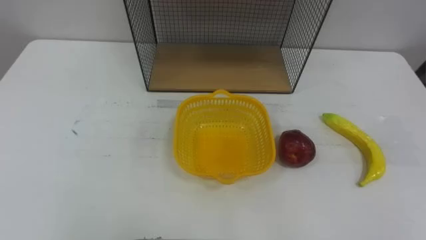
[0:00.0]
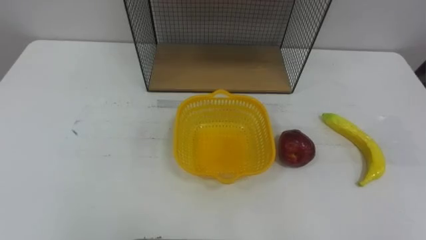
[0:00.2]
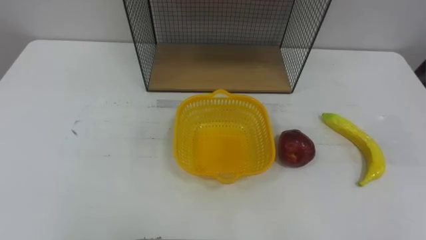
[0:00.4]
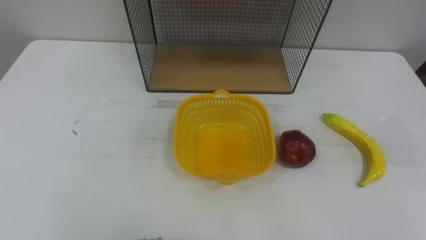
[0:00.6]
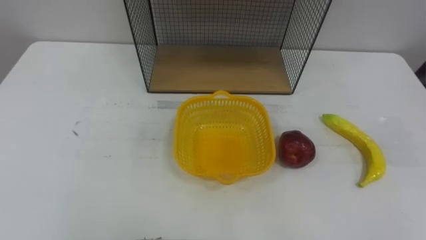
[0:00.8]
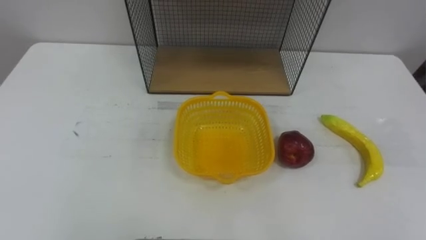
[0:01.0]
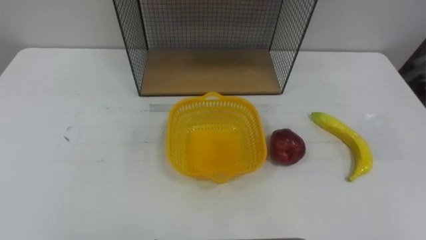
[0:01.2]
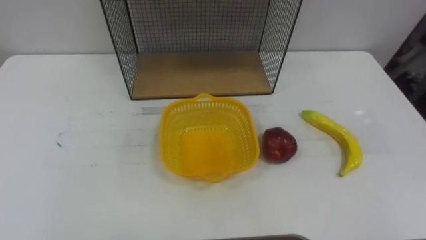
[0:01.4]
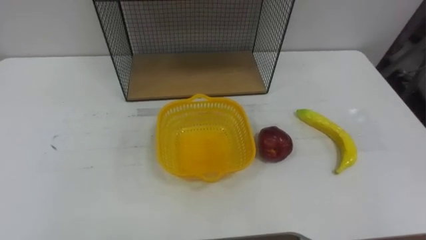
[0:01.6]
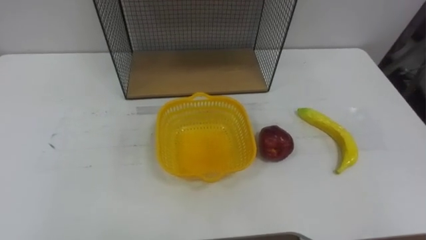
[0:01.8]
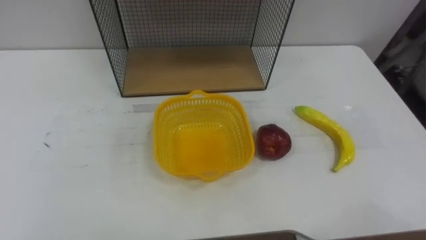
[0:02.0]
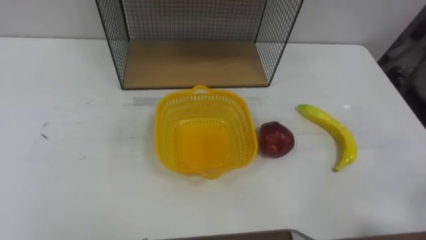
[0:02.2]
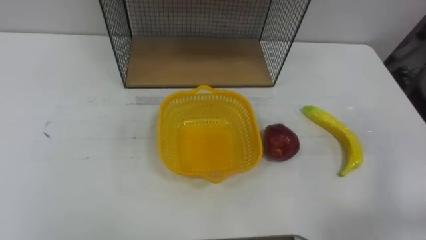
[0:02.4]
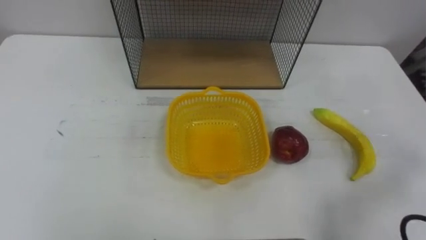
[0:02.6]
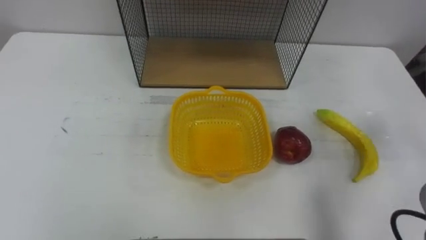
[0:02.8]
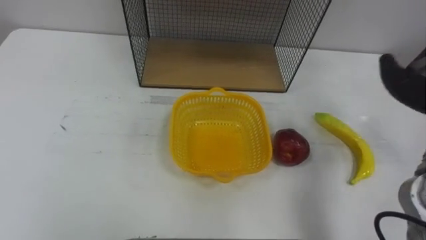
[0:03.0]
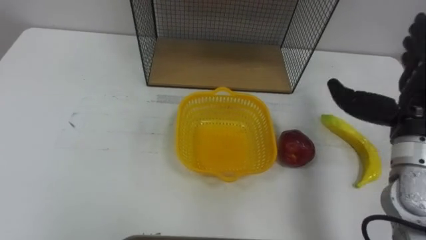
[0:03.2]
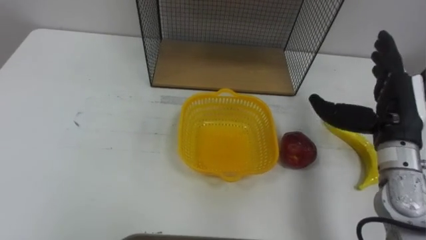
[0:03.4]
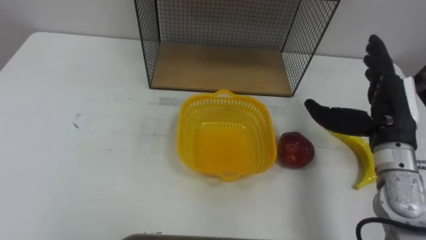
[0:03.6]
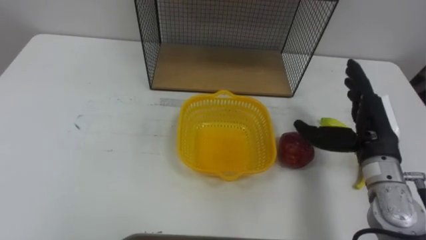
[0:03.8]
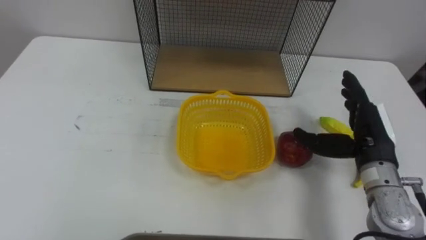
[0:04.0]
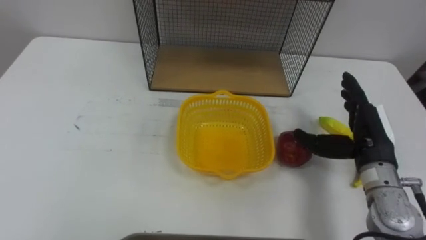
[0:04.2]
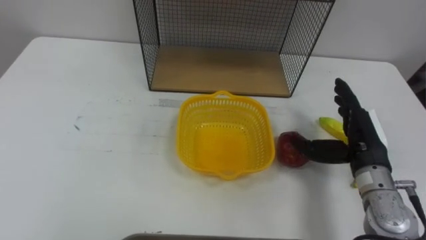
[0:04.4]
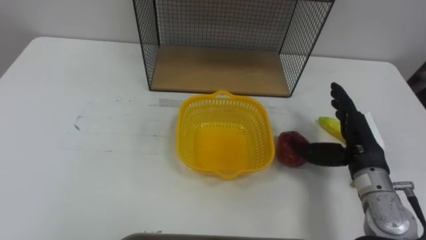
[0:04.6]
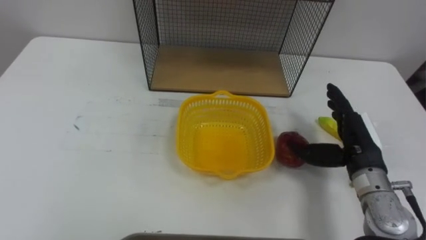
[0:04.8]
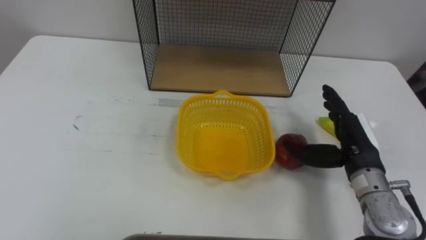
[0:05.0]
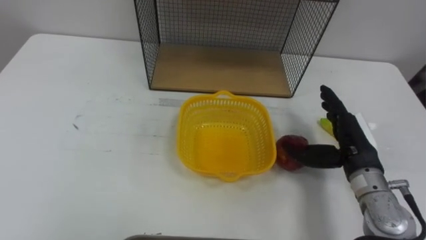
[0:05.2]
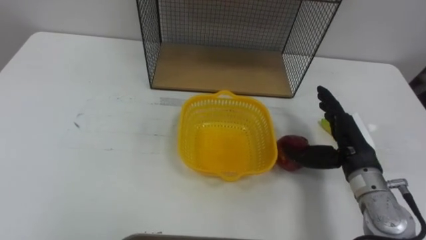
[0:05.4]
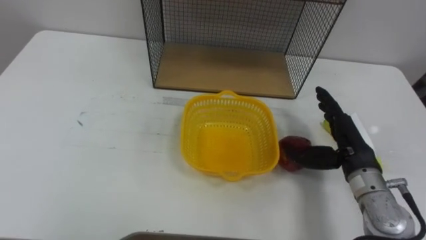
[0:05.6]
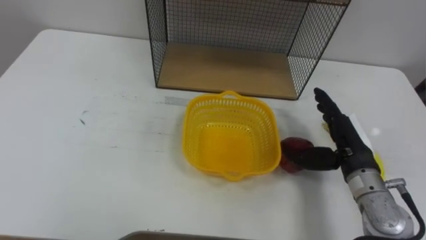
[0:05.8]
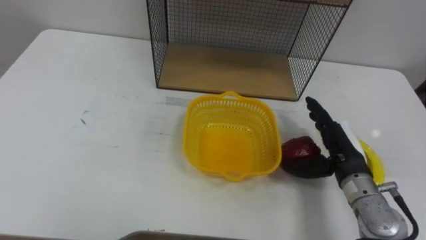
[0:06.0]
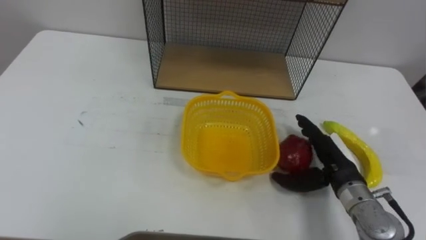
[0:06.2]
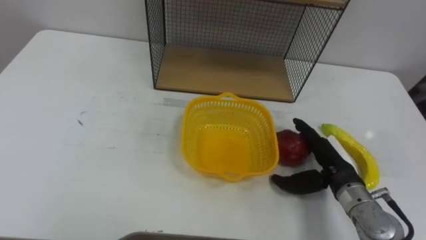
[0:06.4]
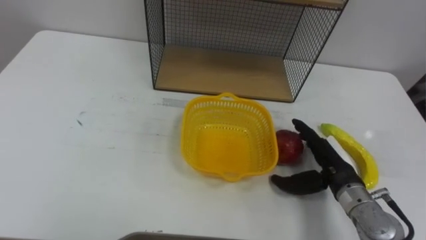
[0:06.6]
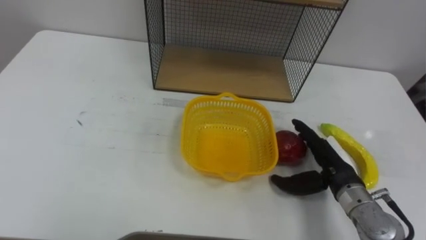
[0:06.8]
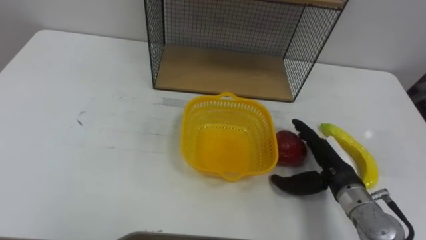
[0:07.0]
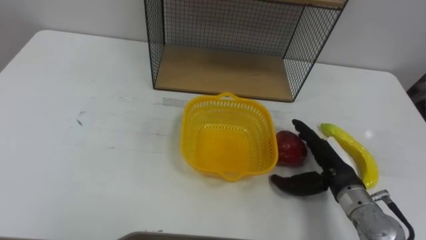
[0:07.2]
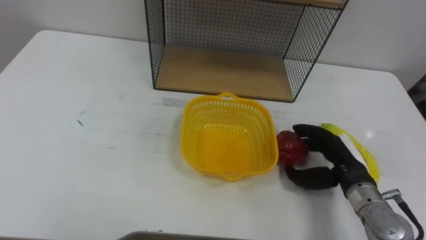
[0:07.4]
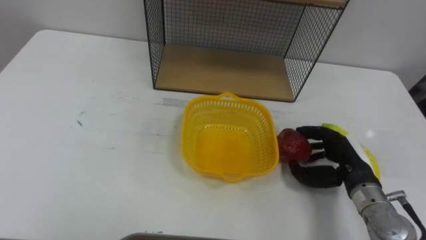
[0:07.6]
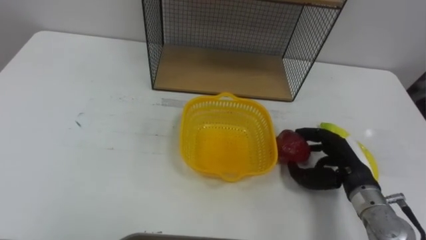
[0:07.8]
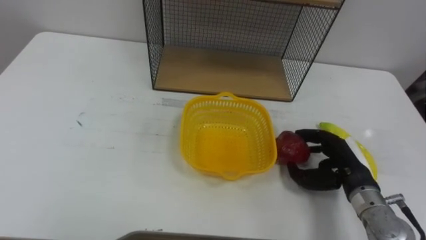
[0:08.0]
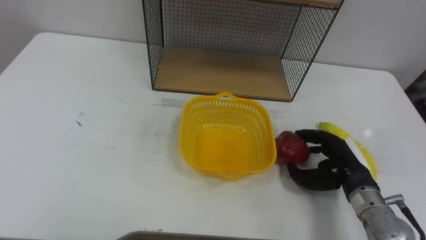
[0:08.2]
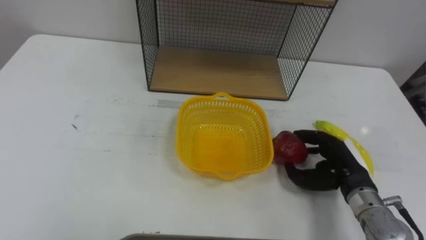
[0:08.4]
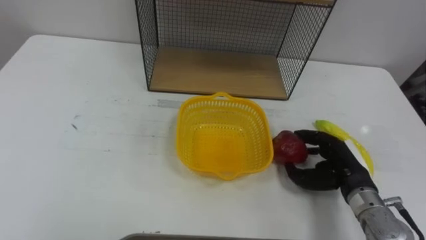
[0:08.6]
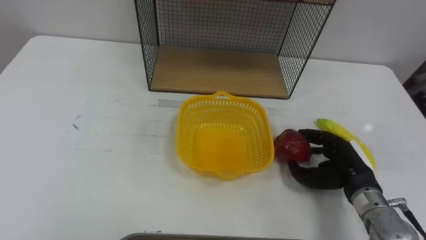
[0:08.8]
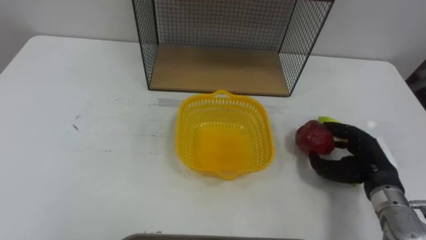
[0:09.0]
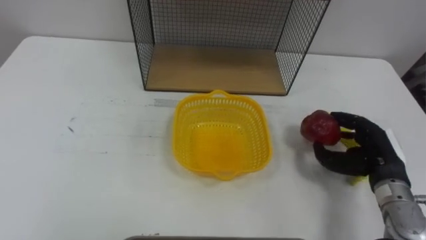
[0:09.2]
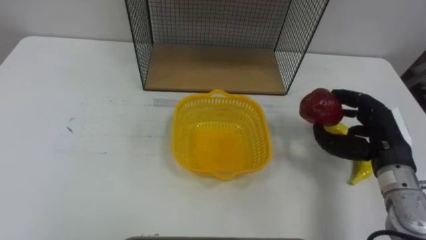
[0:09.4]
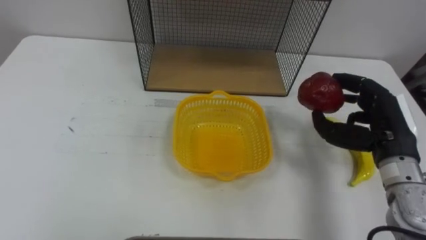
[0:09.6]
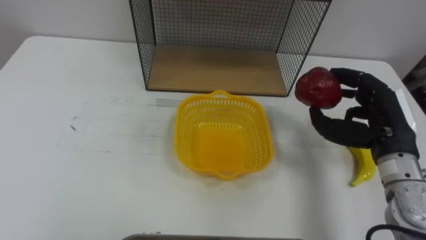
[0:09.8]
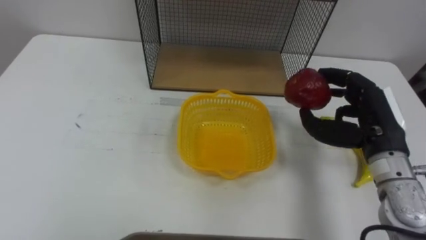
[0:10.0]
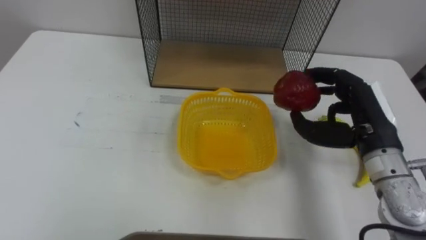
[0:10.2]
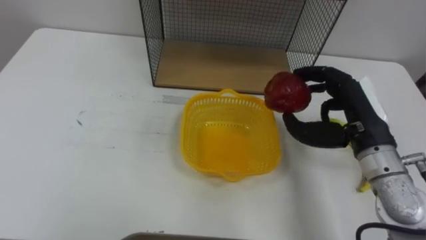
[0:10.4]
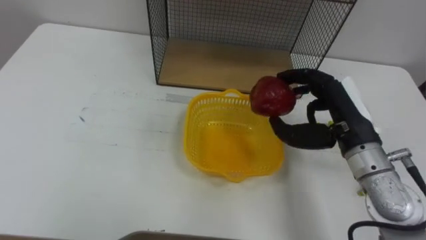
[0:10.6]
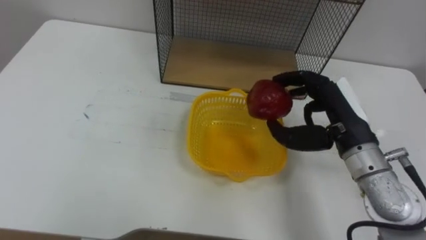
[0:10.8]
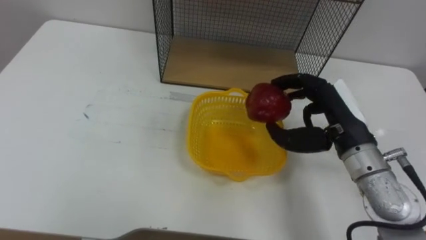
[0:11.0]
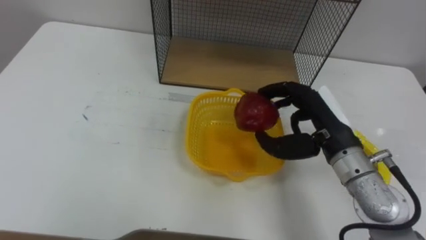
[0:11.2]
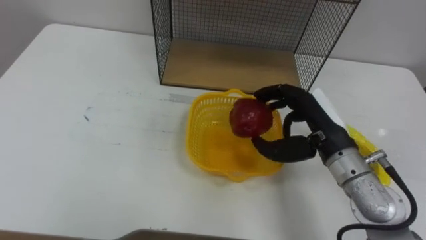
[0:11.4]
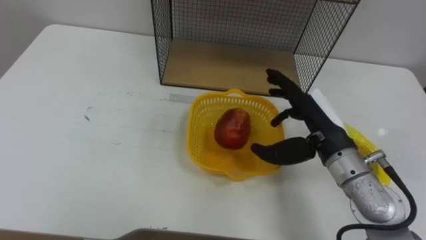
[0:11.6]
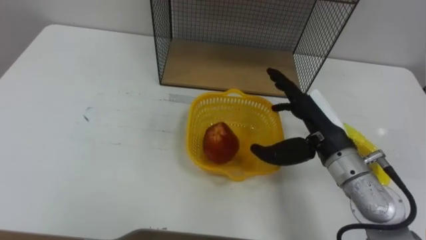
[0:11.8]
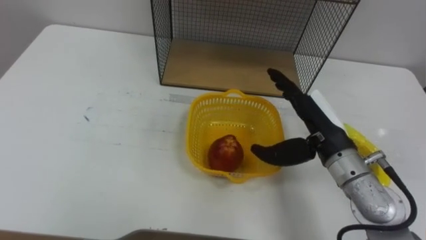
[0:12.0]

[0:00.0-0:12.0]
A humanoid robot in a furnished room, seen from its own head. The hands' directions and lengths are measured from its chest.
Task of the whole recording: Put the fruit on the table into the basket, then place the basket on the shelf.
0:06.0 to 0:07.6: The right hand closes up.
0:09.0 to 0:10.4: The right hand goes about 15 cm upward and to the left.
0:10.4 to 0:12.0: The right hand goes roughly 5 cm to the left, and opens.

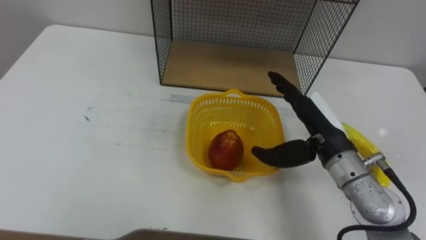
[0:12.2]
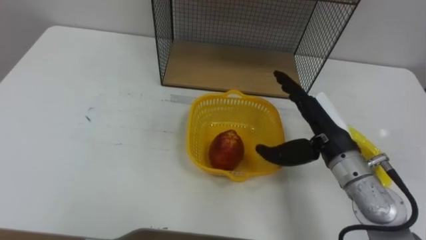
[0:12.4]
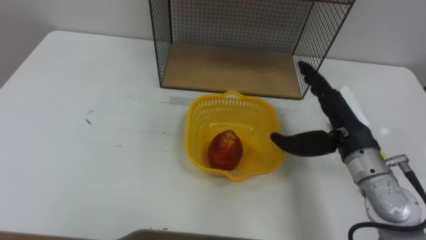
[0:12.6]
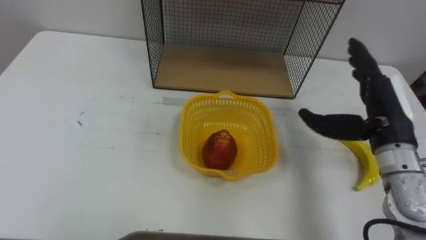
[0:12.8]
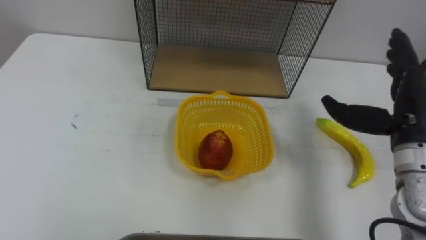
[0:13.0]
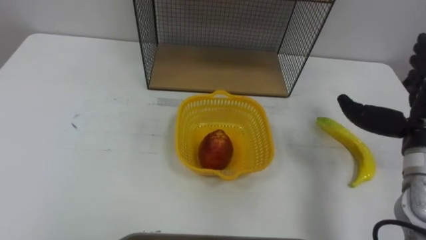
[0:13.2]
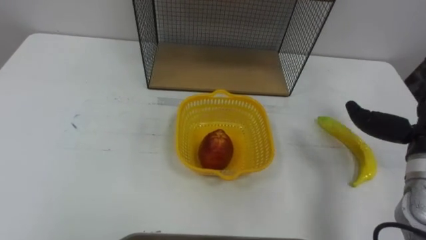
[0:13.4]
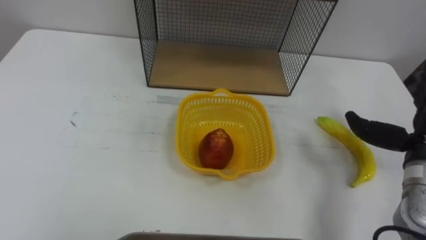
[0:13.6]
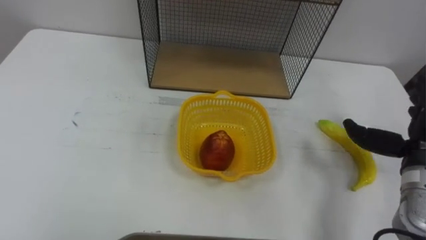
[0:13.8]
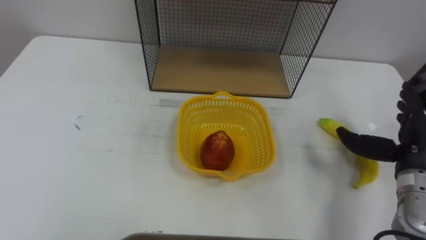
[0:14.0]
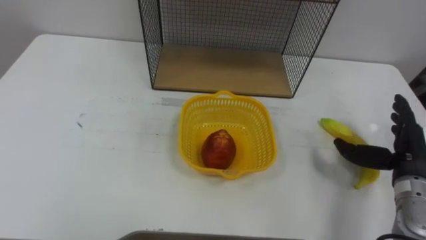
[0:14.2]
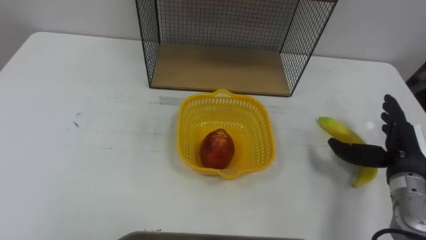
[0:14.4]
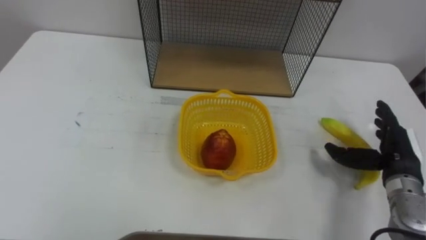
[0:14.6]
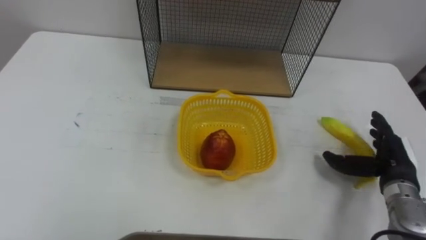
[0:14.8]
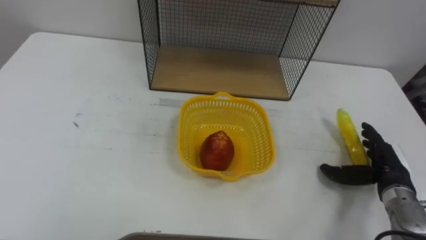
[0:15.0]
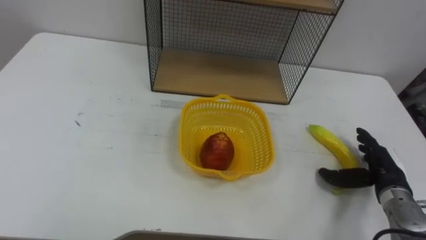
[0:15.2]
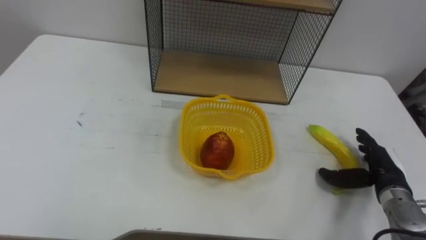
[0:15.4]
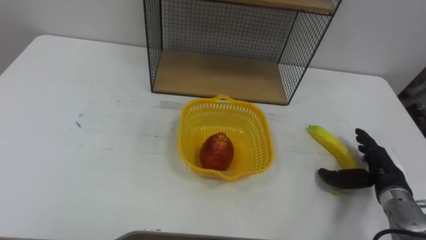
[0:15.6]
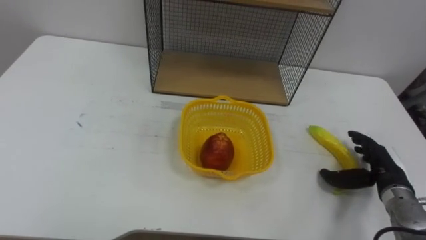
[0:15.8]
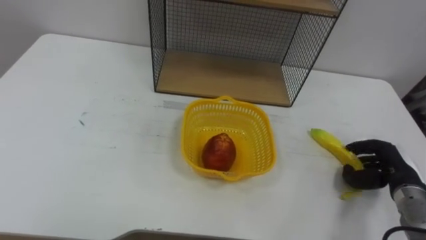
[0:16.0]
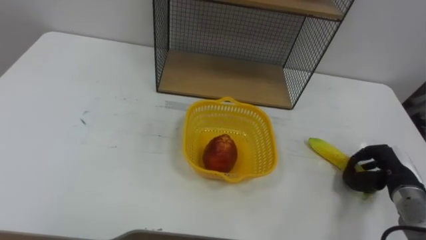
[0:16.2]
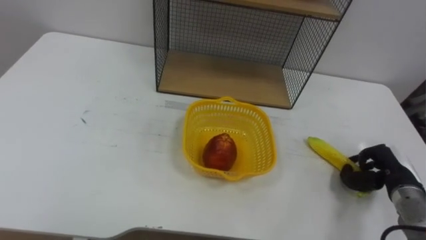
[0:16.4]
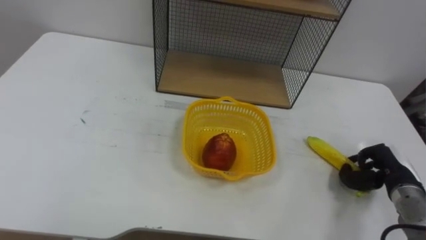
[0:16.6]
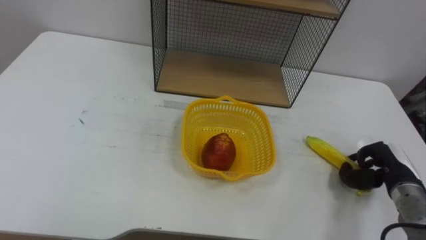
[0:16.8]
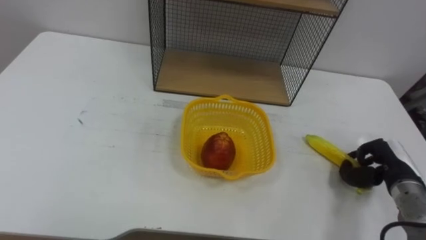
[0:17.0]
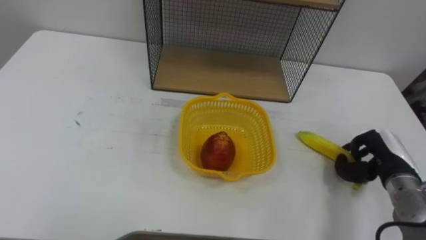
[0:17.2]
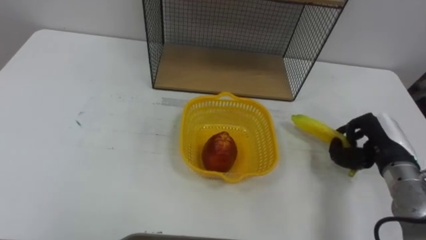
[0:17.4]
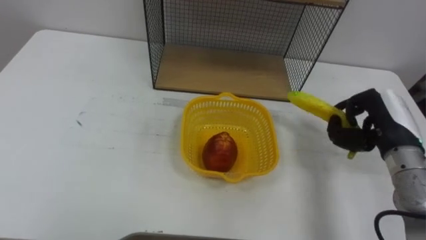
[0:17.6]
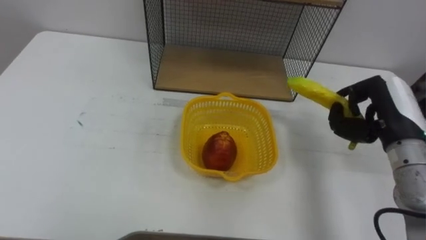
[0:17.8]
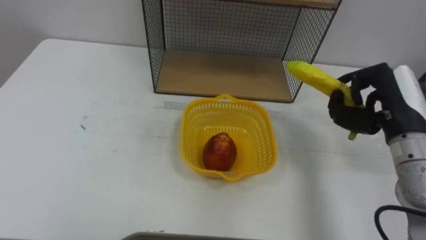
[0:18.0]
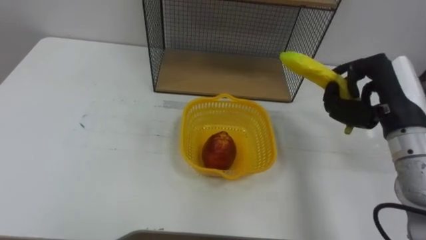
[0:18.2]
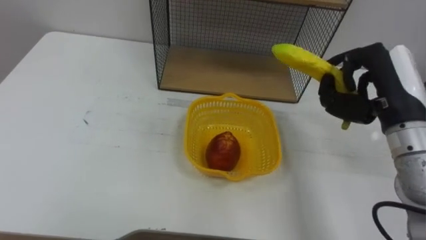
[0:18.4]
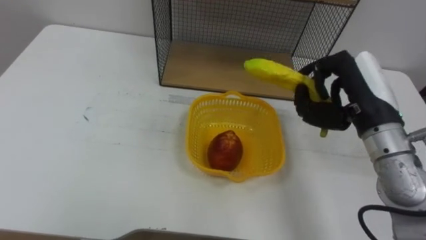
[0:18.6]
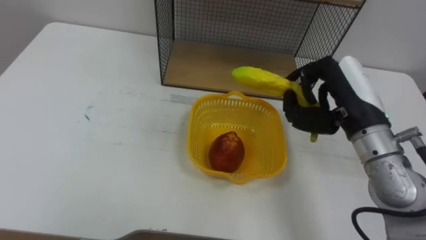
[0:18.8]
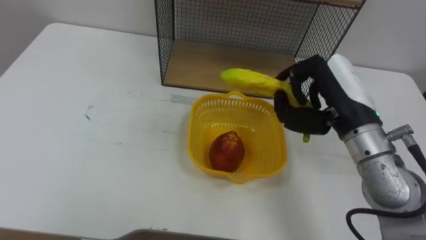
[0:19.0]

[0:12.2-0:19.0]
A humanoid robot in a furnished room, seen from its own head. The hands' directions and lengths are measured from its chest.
Task of the whole recording: Put the fruit on the table into the basket, then place the basket on the shelf.
0:15.0 to 0:16.2: The right hand closes up.
0:16.2 to 0:17.6: The right hand heads upward and to the left, covering about 15 cm.
0:17.6 to 0:19.0: The right hand goes about 15 cm to the left and upward.
